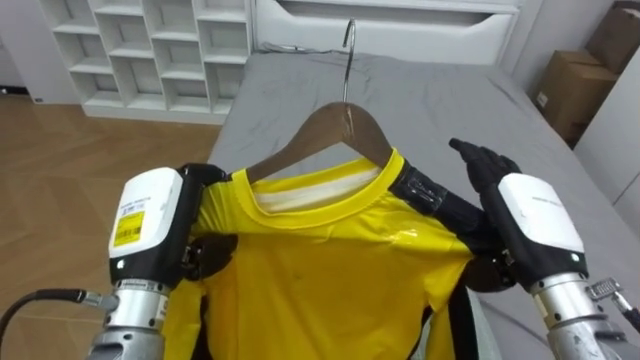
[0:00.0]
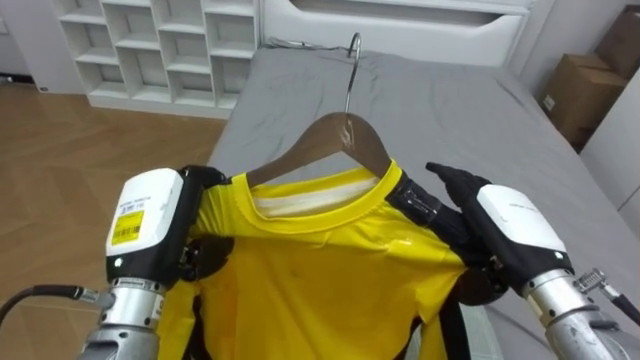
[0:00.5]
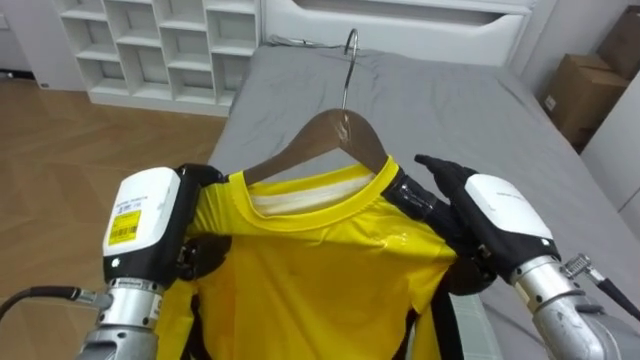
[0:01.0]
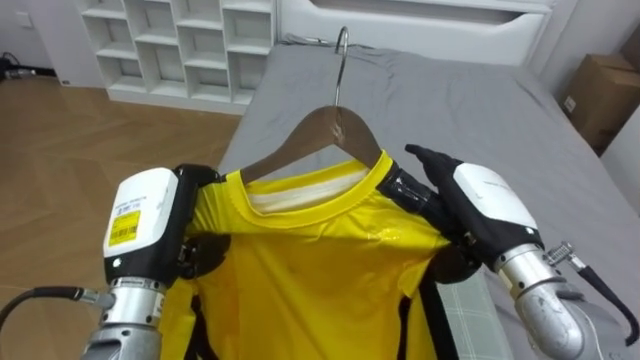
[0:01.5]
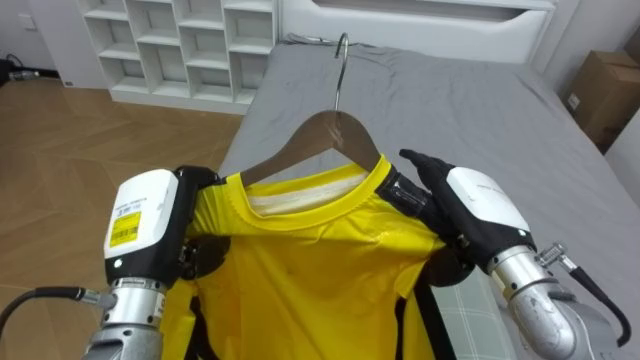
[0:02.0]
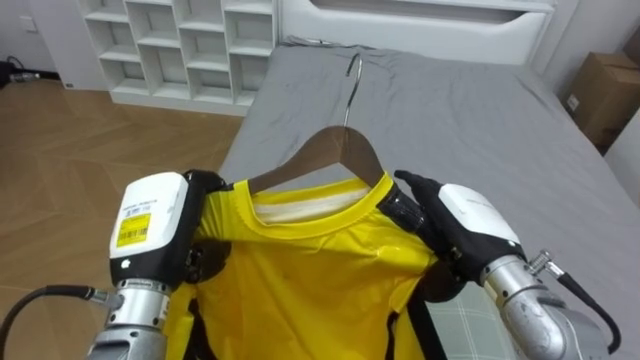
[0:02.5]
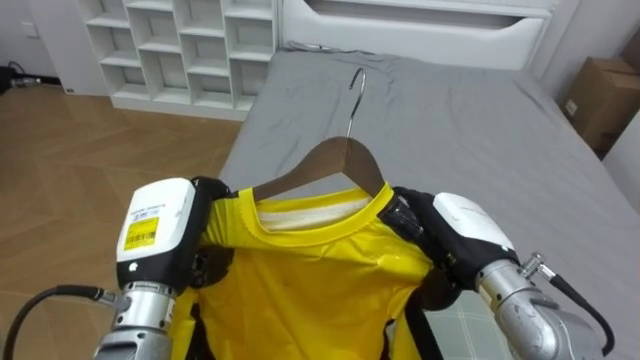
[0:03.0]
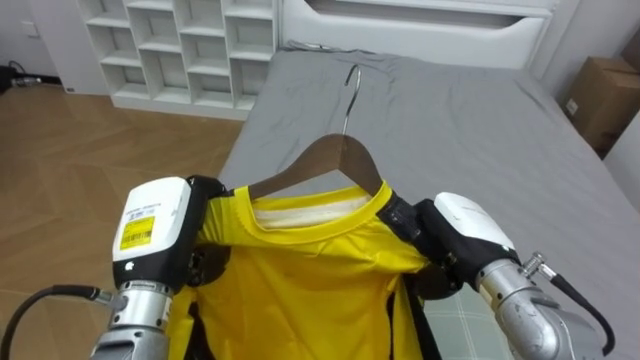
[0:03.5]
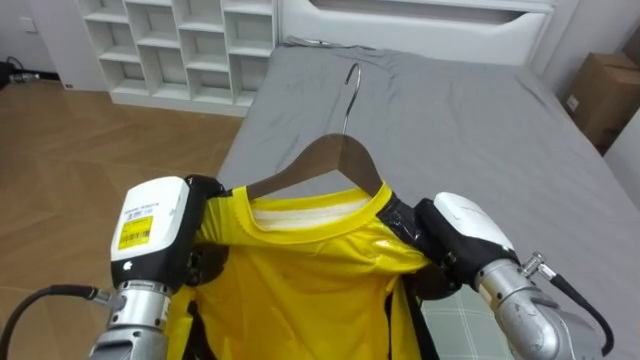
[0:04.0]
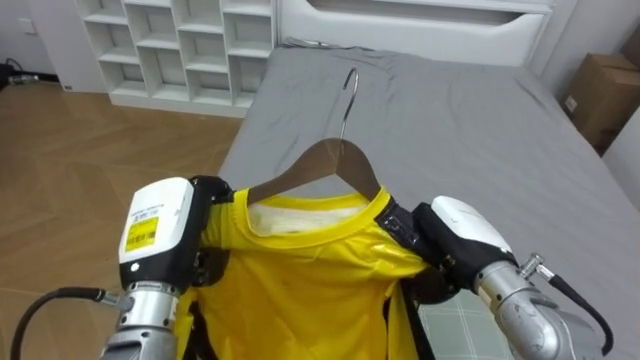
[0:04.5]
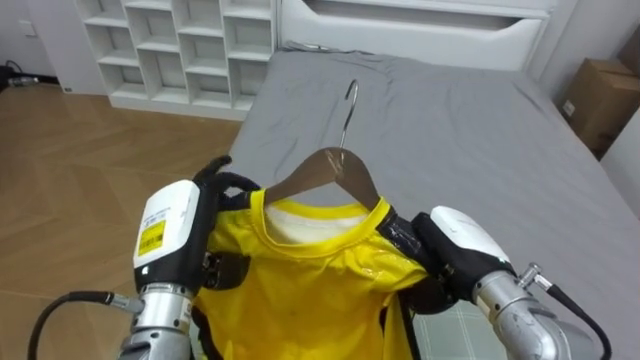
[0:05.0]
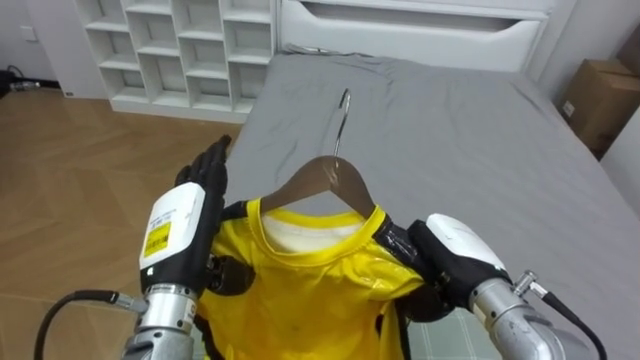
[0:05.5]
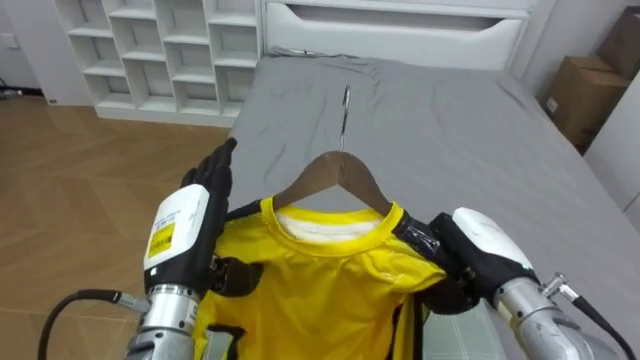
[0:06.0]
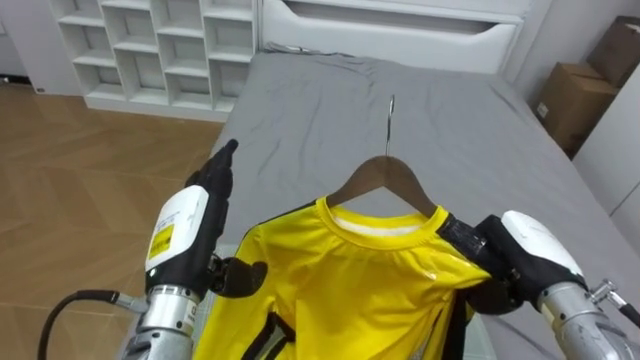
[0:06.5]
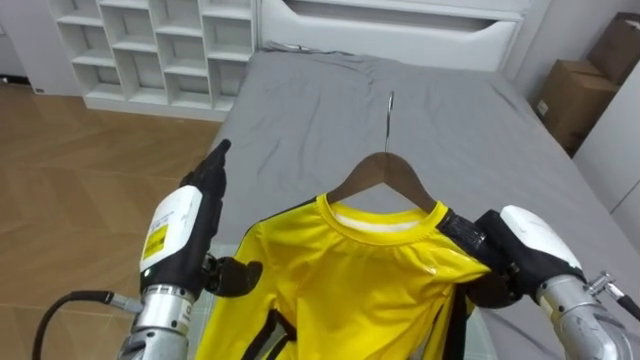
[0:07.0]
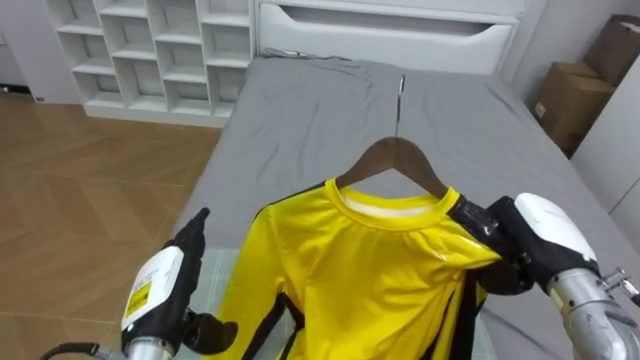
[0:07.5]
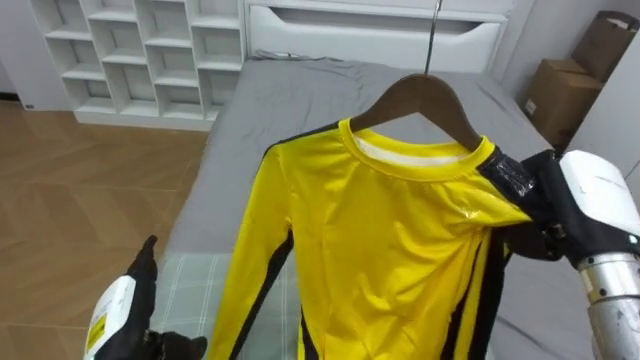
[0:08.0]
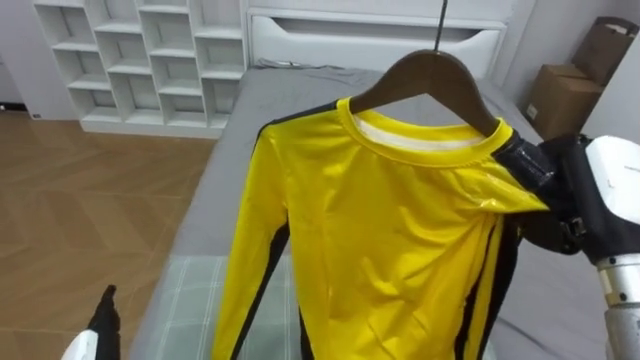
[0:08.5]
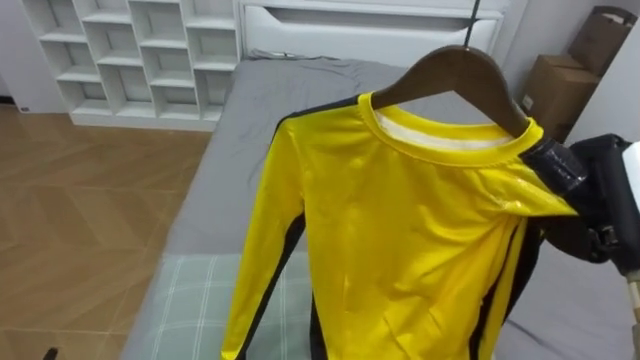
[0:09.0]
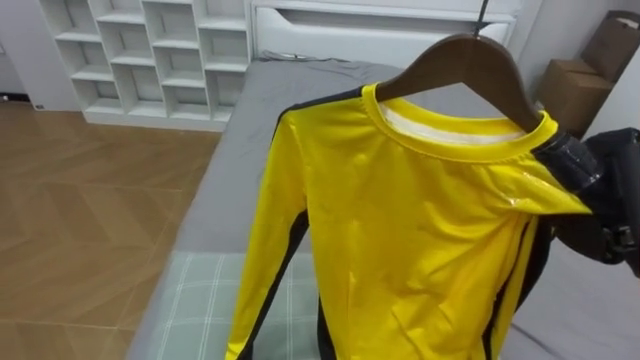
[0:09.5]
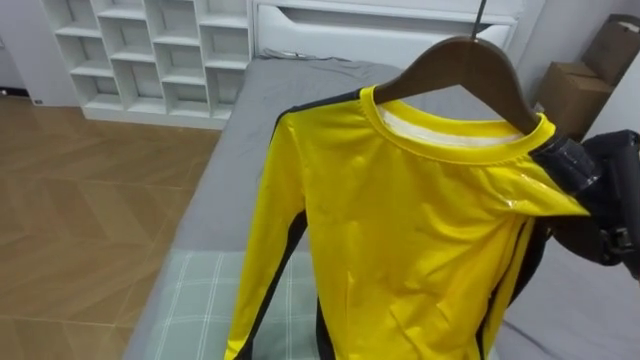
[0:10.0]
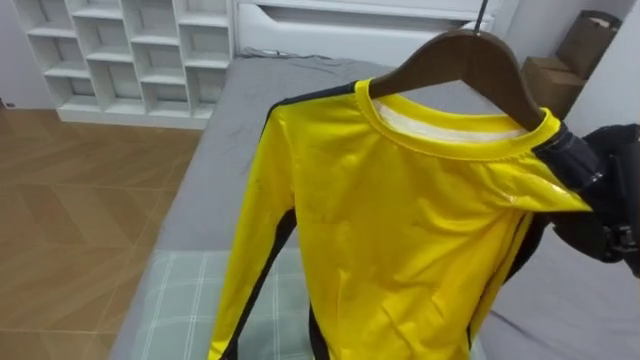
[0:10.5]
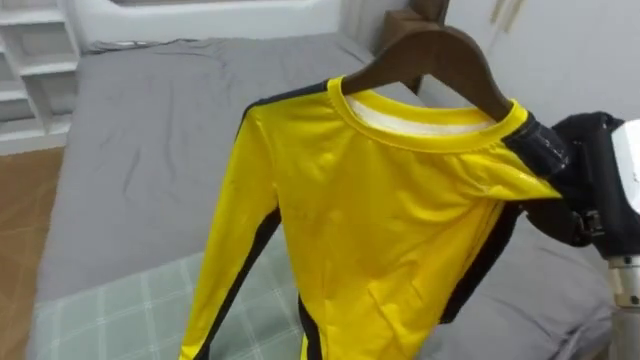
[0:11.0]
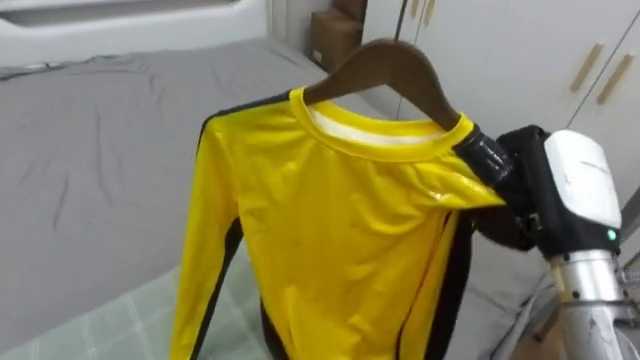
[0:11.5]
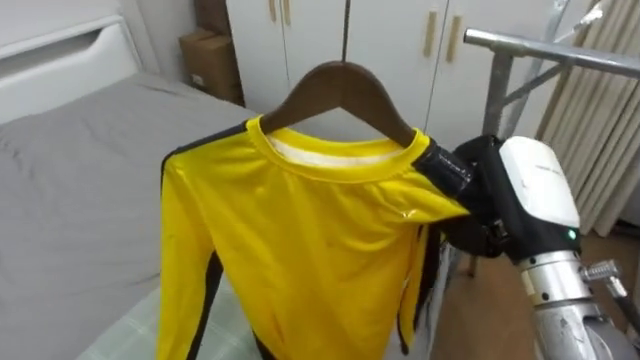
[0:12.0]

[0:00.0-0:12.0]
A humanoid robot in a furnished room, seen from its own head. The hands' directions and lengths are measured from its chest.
Task of the whole recording: Pick up the yellow shirt on the bed and hang it on the clothes rack on the right.
0:00.0 to 0:02.0: The right hand moves some 5 cm.
0:02.0 to 0:04.0: The right hand closes its fingers.
0:04.0 to 0:06.0: The left hand opens up.
0:06.0 to 0:08.0: The right hand moves to the right and upward, roughly 10 cm. The left hand shifts some 15 cm downward and to the left.
0:08.0 to 0:10.0: The right hand shifts by some 5 cm.
0:10.0 to 0:12.0: The robot turns to its right by approximately 60 degrees. The right hand moves to the left, approximately 10 cm.

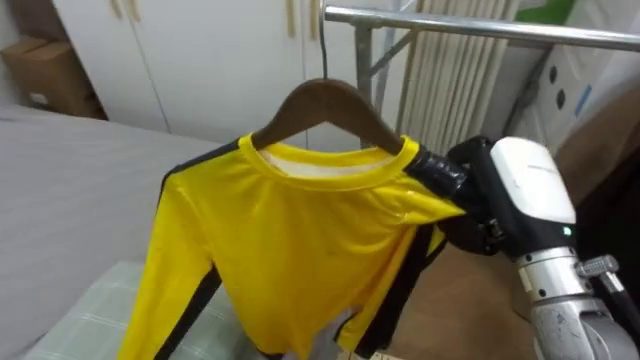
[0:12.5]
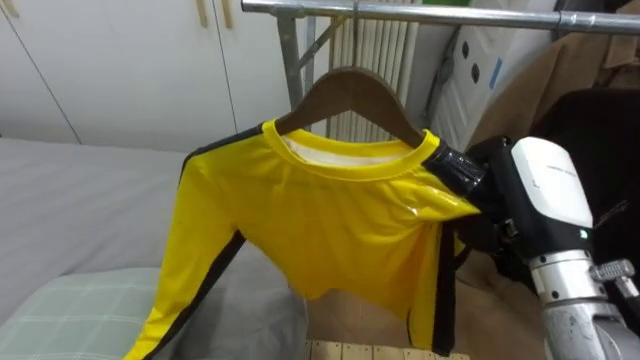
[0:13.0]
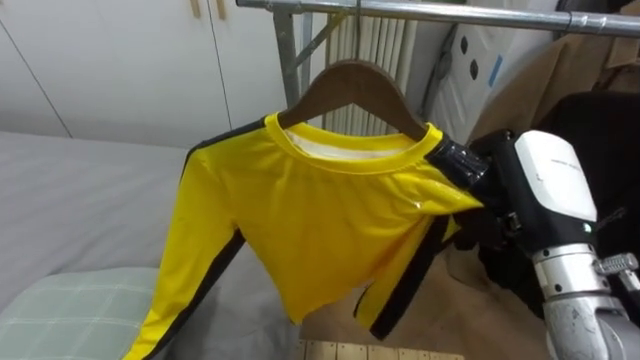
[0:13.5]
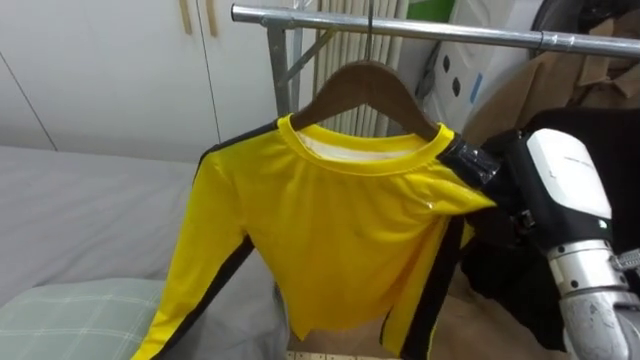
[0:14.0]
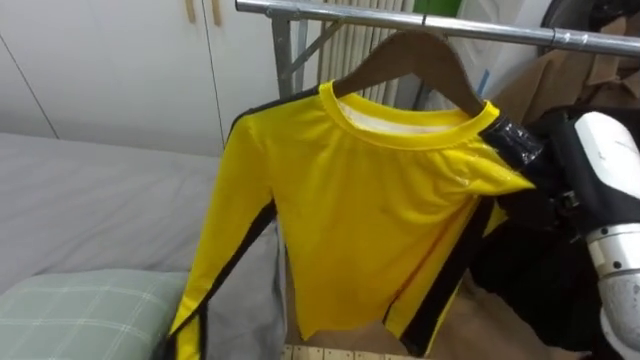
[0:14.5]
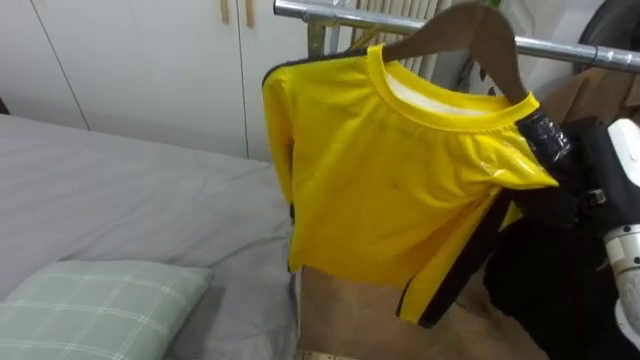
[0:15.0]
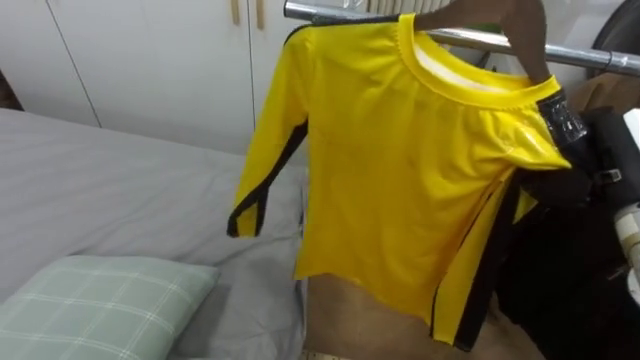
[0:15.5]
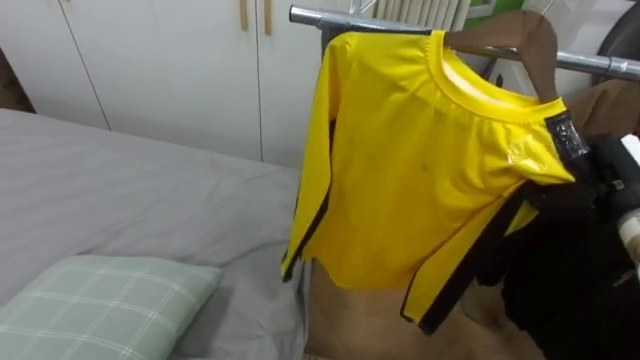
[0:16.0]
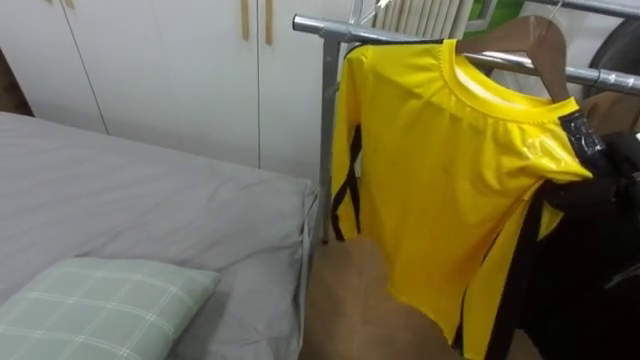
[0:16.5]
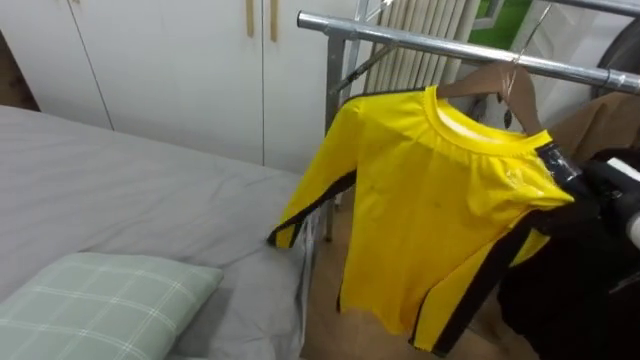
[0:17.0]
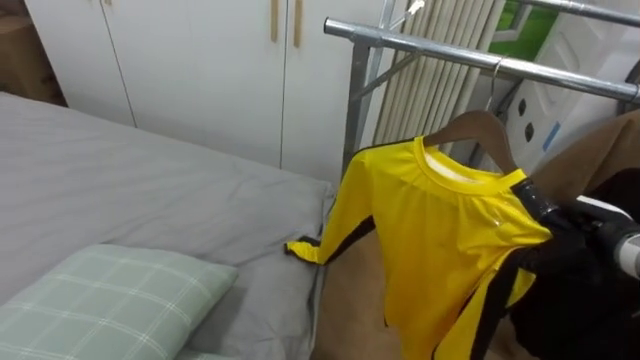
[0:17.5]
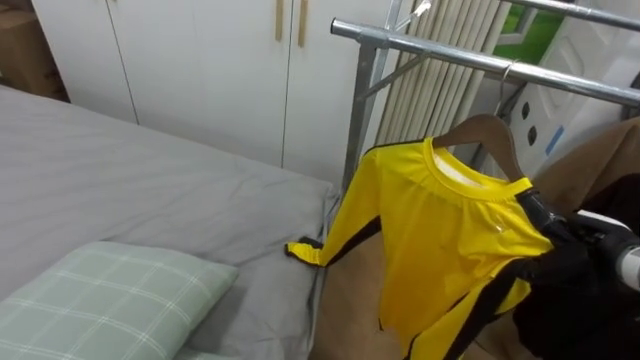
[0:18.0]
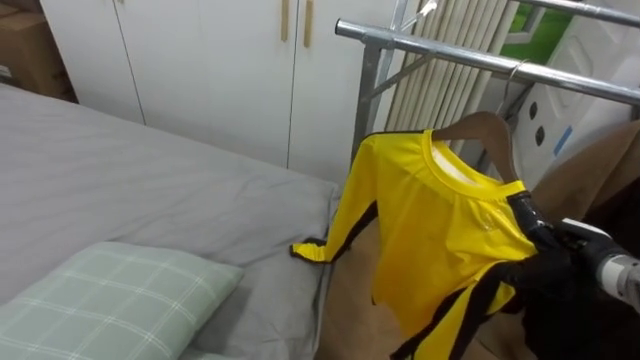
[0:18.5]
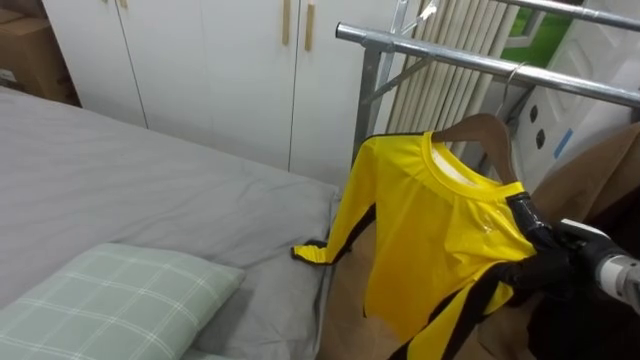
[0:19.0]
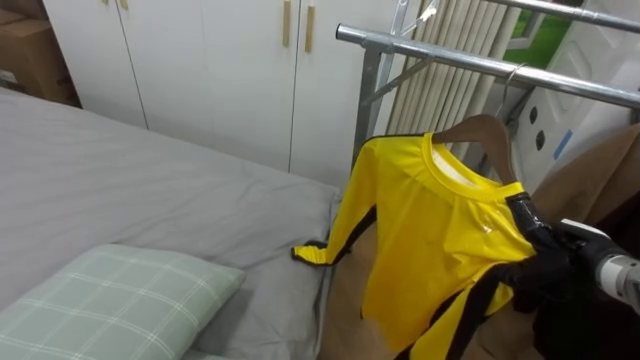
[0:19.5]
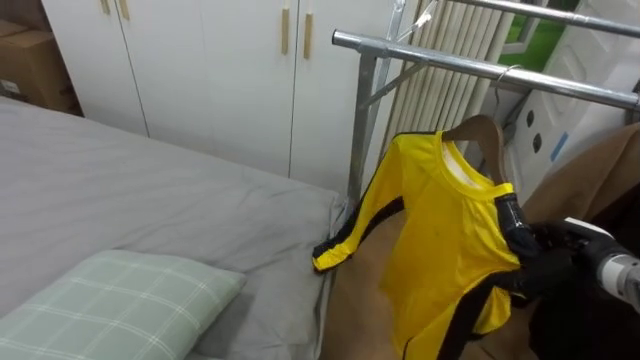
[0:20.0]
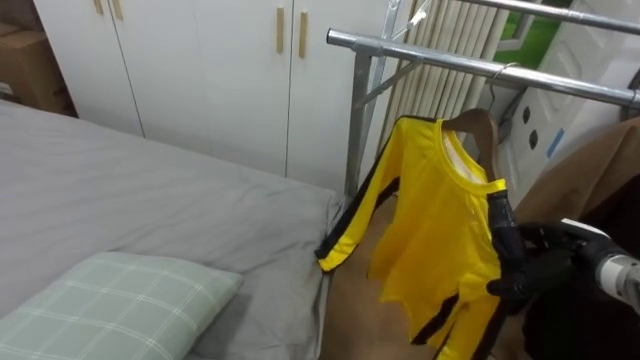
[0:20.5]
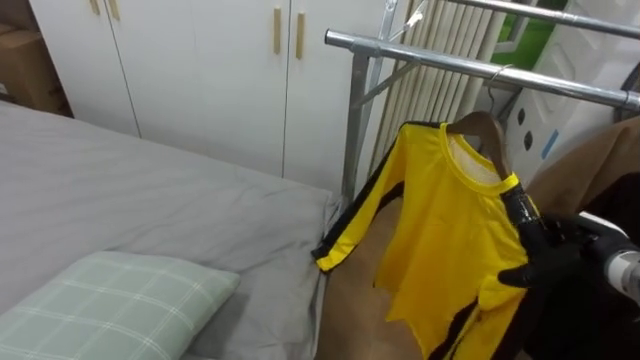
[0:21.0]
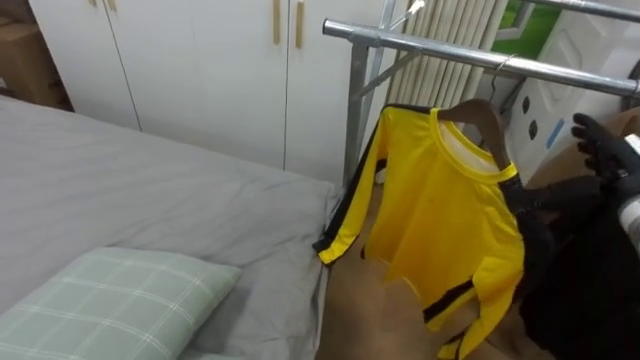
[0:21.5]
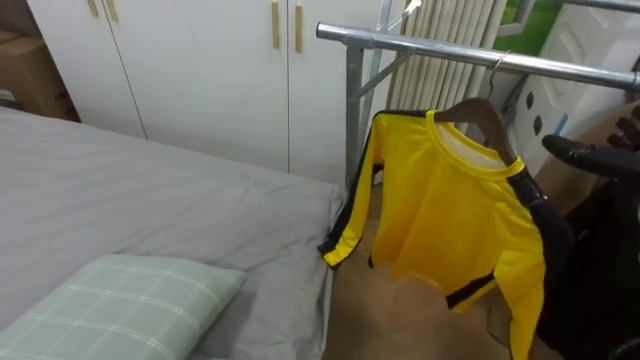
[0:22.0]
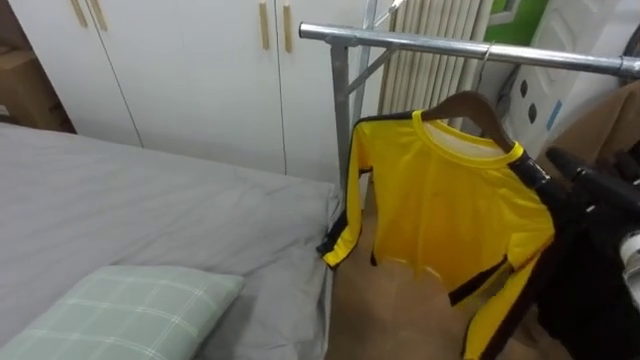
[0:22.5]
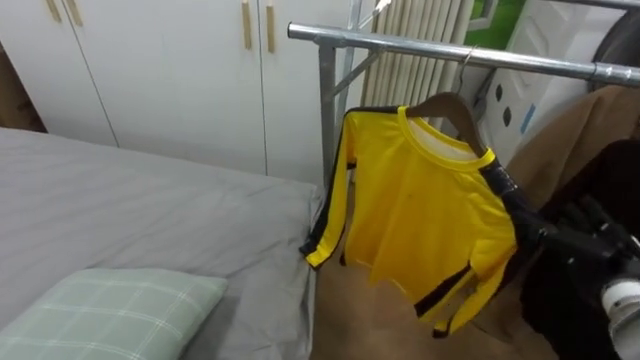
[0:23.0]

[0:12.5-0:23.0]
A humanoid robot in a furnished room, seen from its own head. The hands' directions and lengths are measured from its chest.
Task of the whole recording: Pick up the yellow shirt on the bed and hang it on the clothes rack on the right.
0:12.5 to 0:14.5: The right hand moves to the right, roughly 5 cm.
0:14.5 to 0:16.5: The right hand shifts approximately 15 cm to the right, downward and forward.
0:16.5 to 0:19.0: The right hand goes about 10 cm downward.
0:19.0 to 0:21.0: The right hand opens up.
0:21.0 to 0:23.0: The right hand moves approximately 10 cm upward and comes back.
